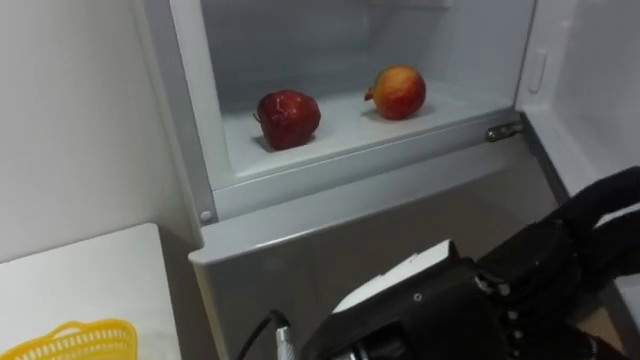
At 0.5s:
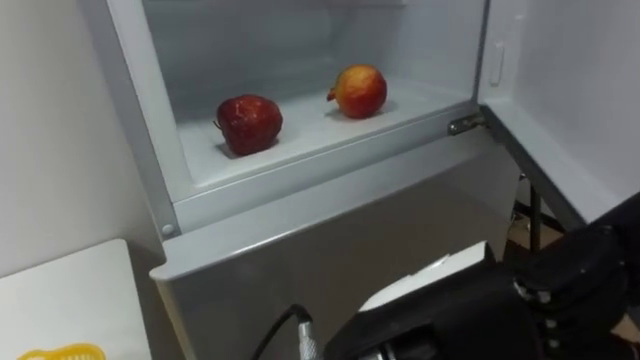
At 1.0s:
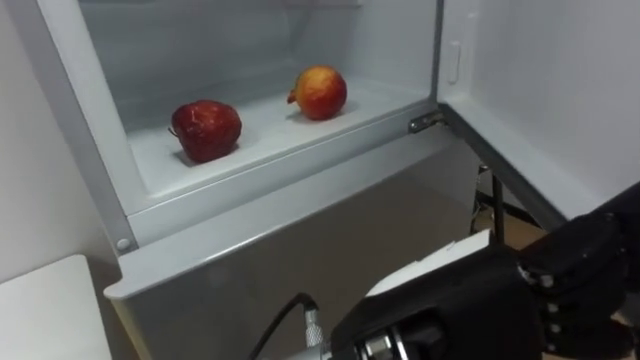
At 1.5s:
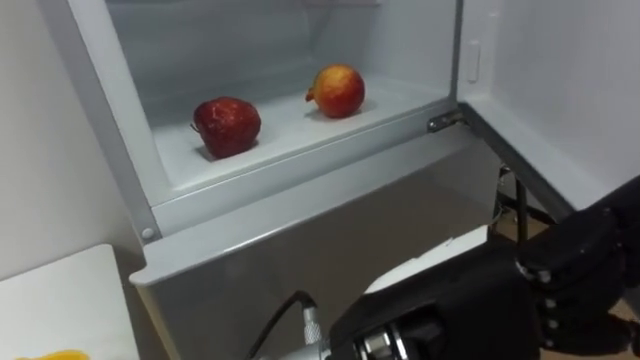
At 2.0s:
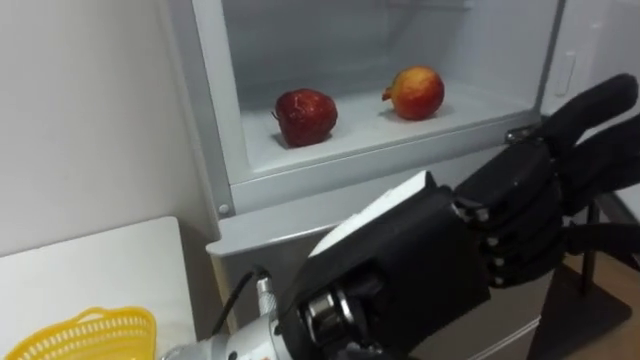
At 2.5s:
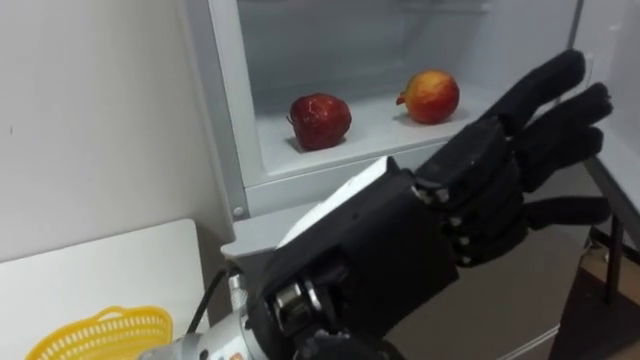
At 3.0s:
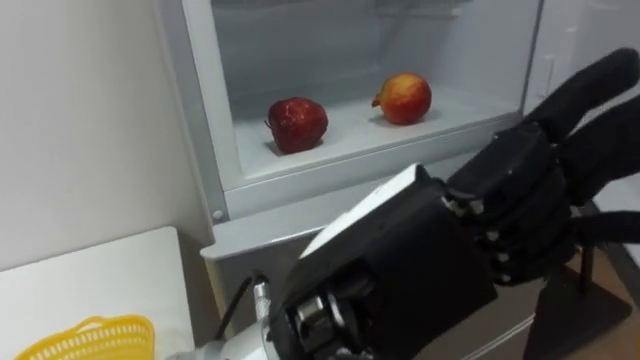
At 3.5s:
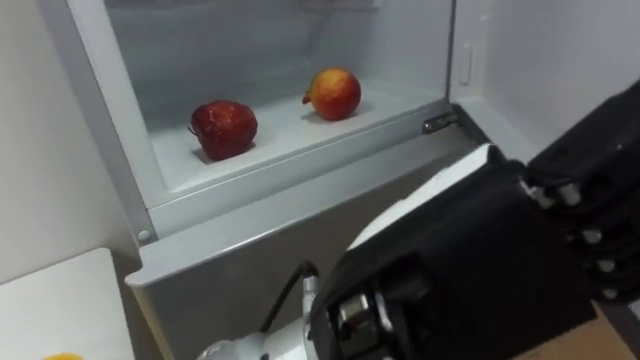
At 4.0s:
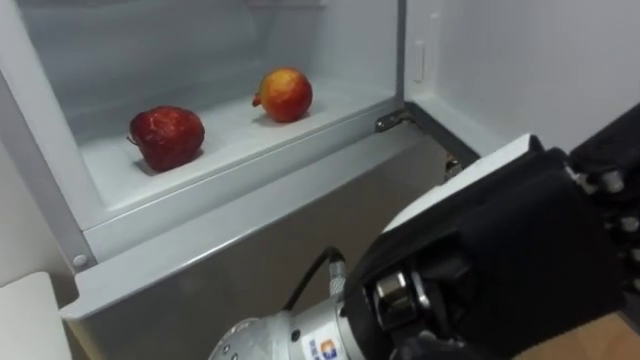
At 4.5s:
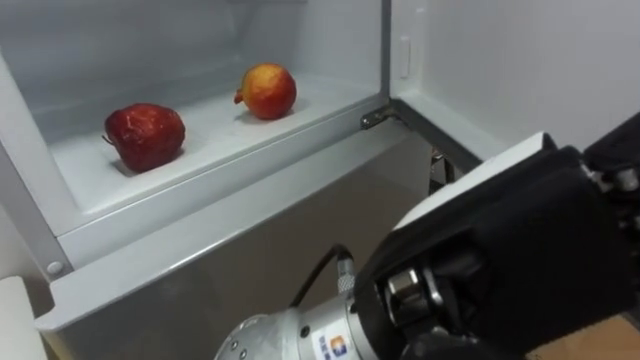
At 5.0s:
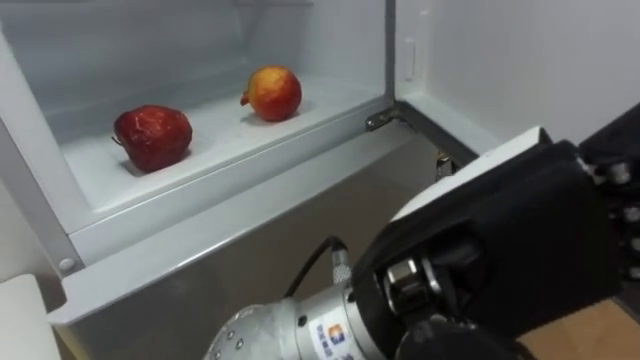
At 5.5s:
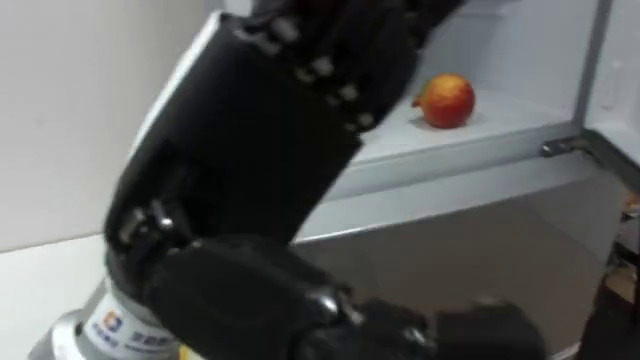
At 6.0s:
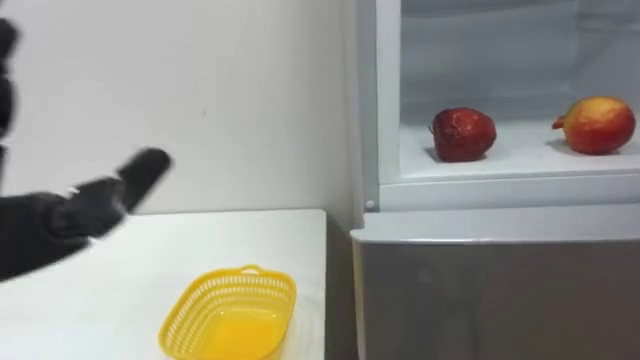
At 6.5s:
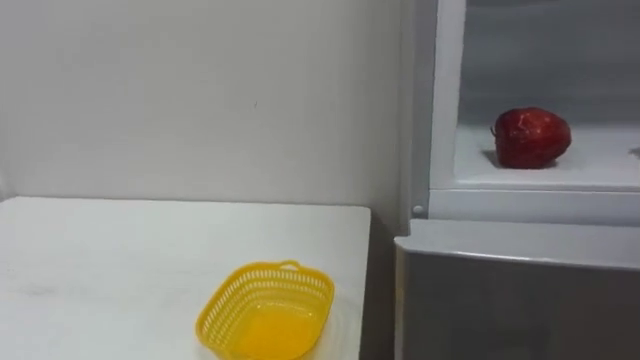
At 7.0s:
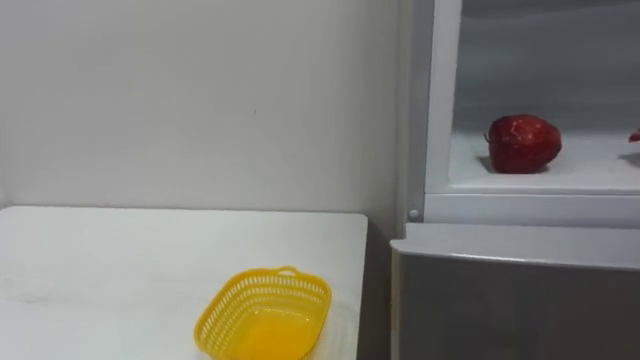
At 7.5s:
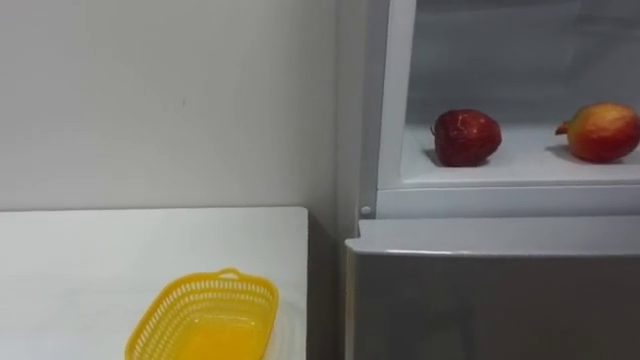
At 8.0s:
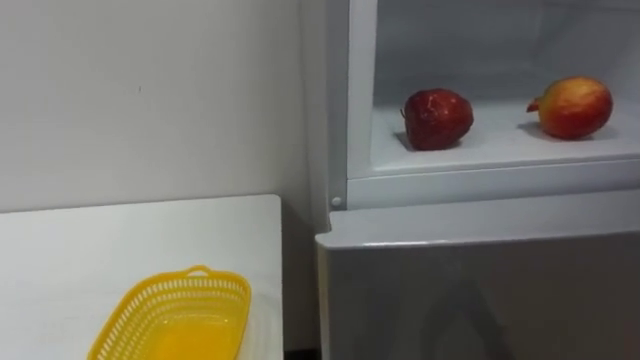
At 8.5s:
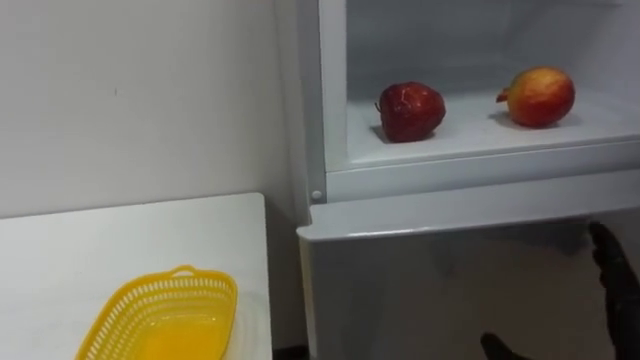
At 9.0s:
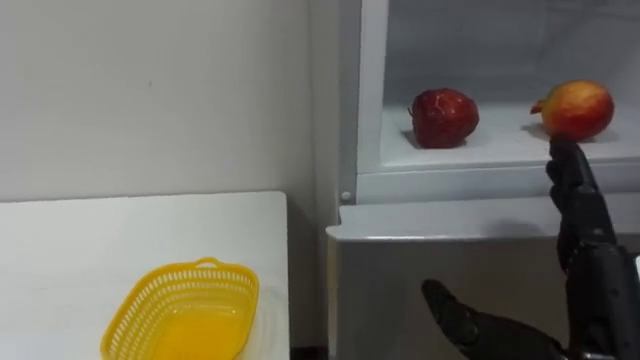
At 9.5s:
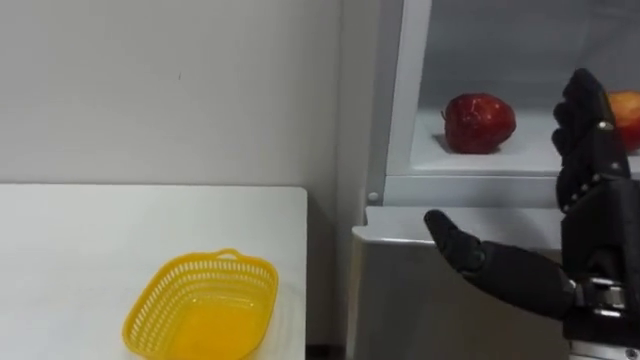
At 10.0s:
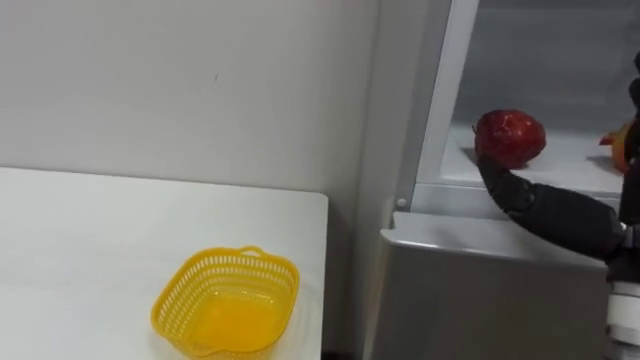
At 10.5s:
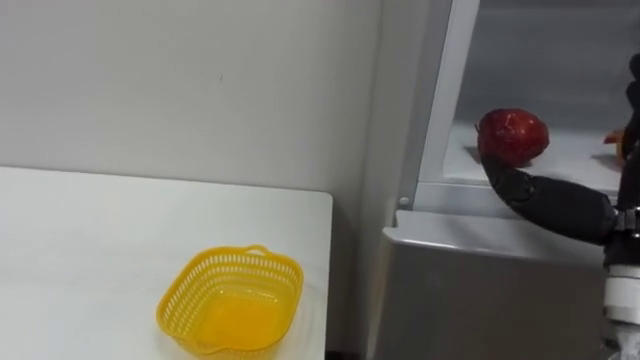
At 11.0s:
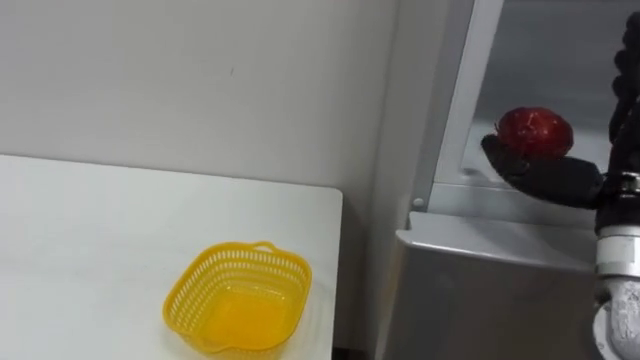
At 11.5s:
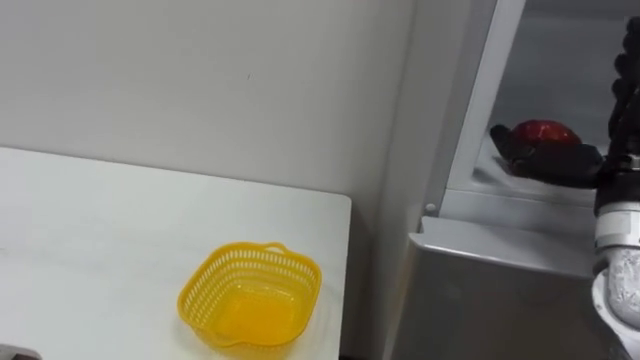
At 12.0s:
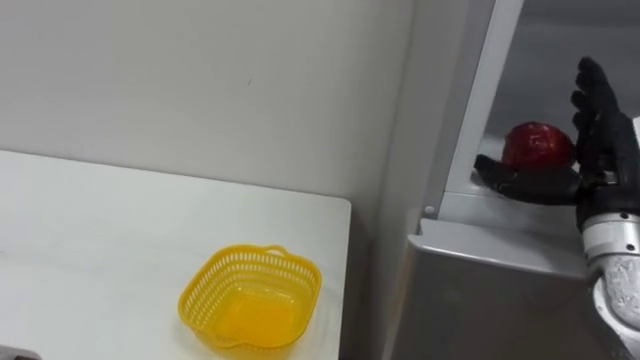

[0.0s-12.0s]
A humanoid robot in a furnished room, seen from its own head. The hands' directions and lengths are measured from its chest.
Task of the whole recording: Open the refrigerator door, take out the apple and the pomegranate, place them in the fruit basket on the left, and close the refrigerator door.
2.0s to 4.0s: The left hand changes place by roughly 5 cm.

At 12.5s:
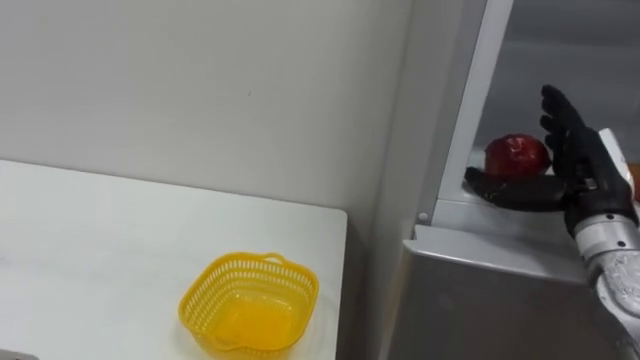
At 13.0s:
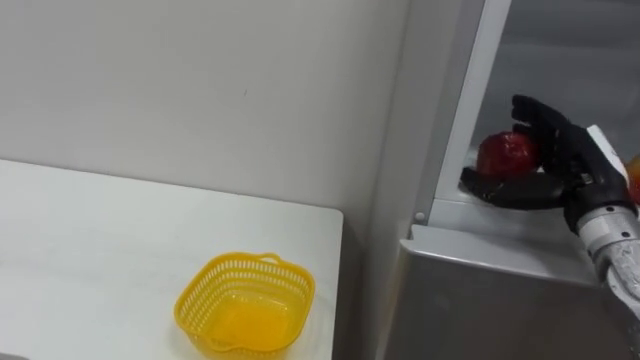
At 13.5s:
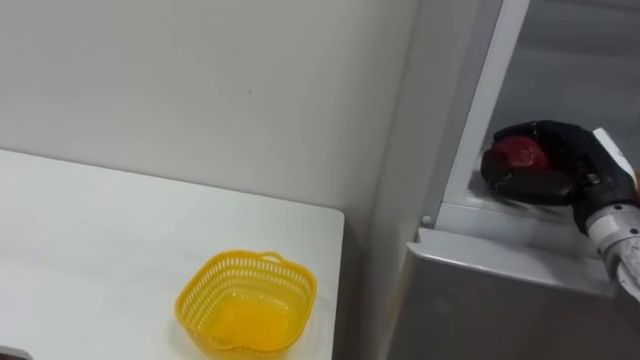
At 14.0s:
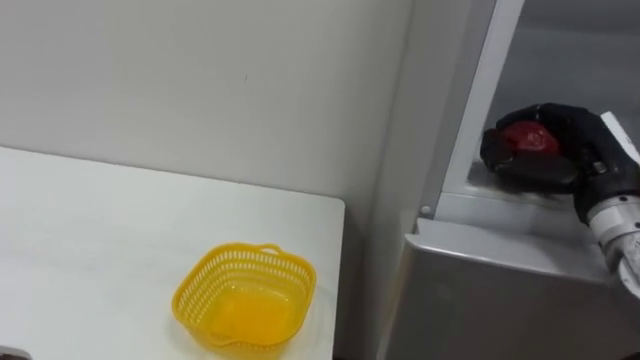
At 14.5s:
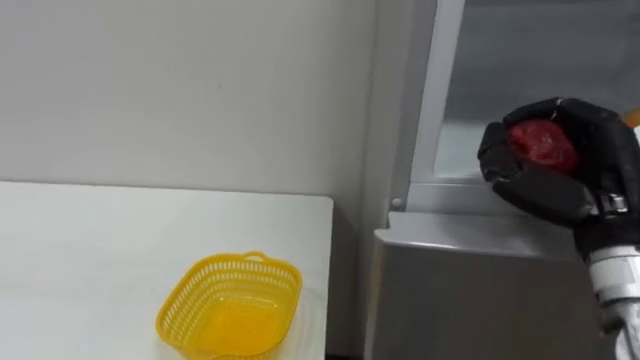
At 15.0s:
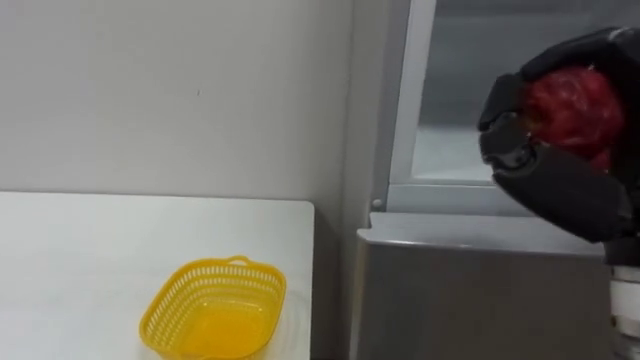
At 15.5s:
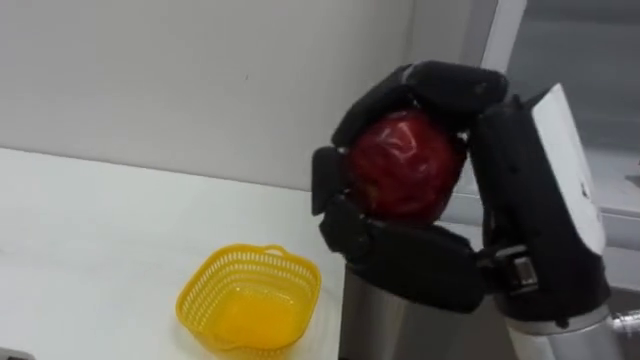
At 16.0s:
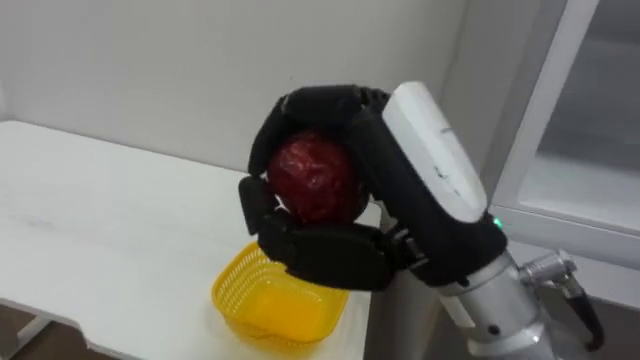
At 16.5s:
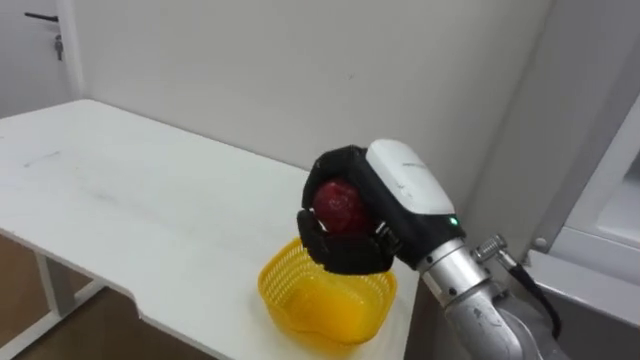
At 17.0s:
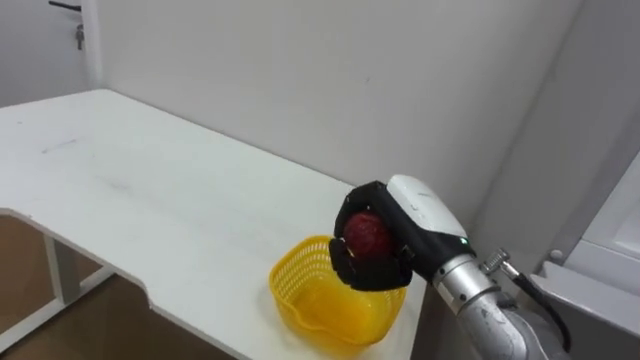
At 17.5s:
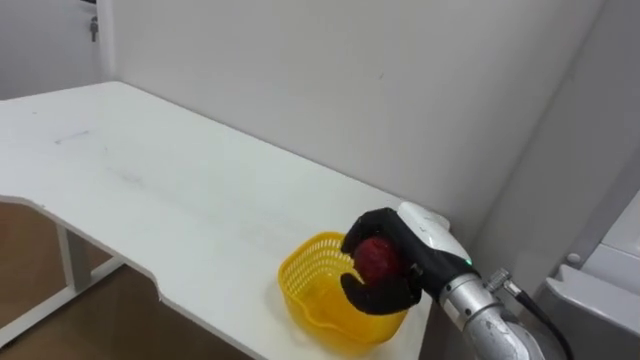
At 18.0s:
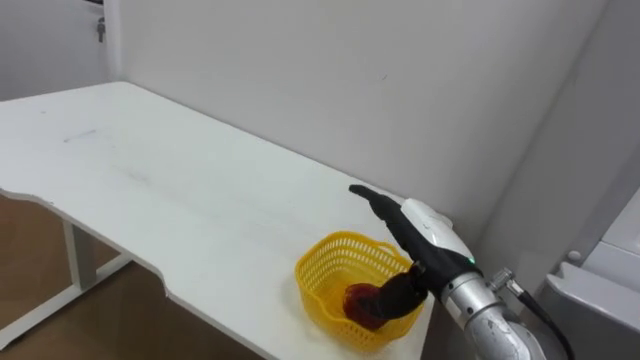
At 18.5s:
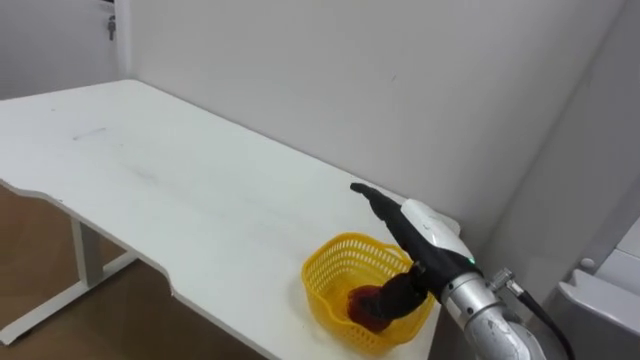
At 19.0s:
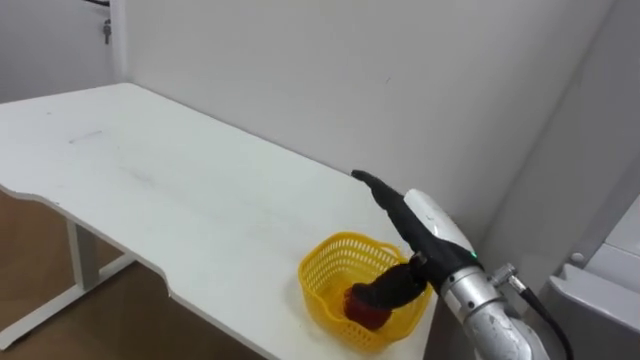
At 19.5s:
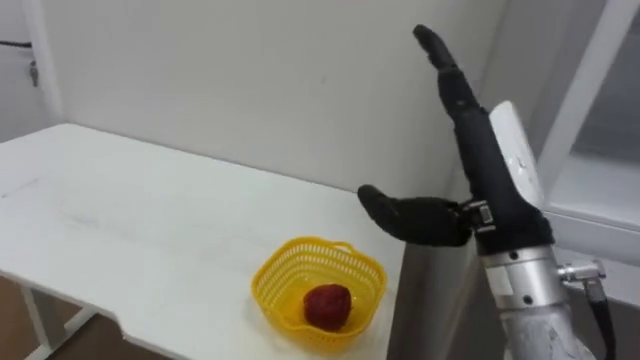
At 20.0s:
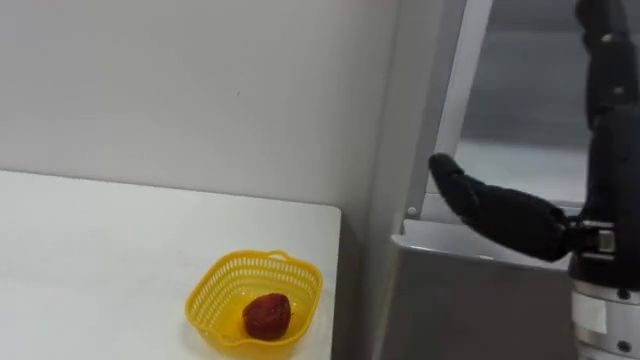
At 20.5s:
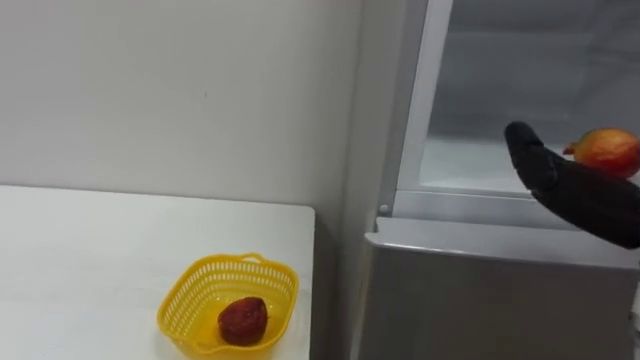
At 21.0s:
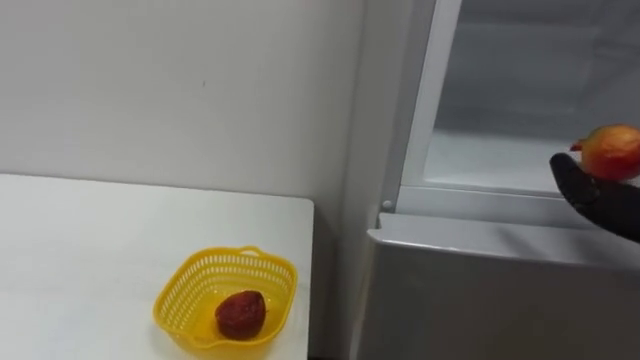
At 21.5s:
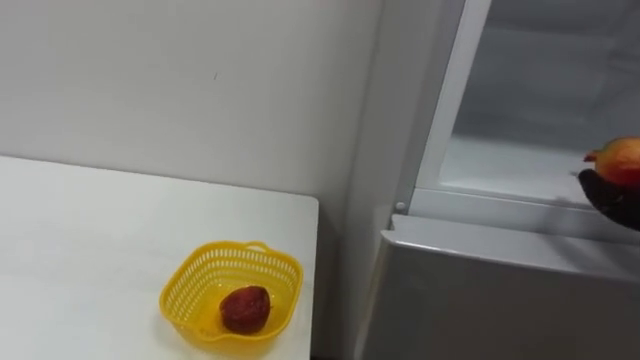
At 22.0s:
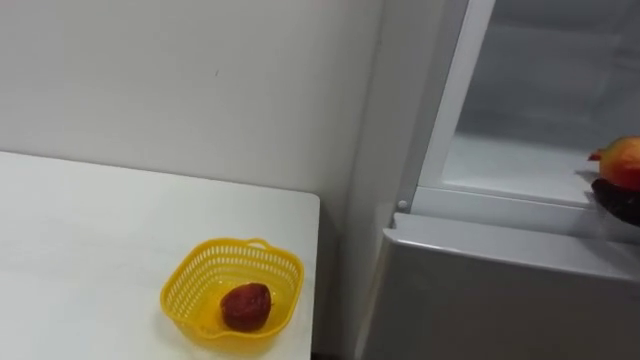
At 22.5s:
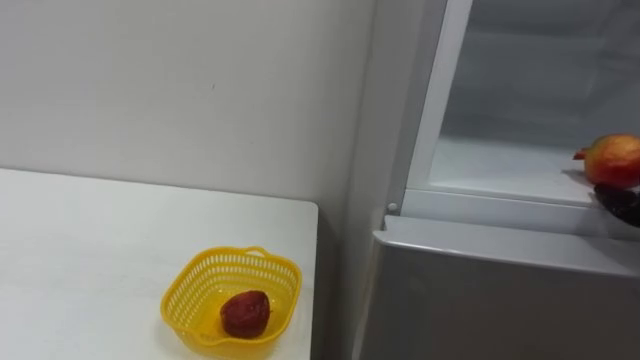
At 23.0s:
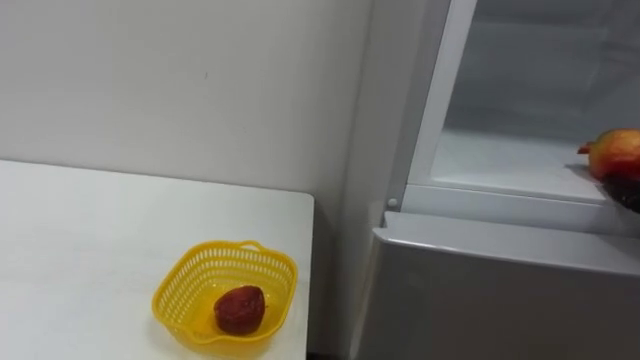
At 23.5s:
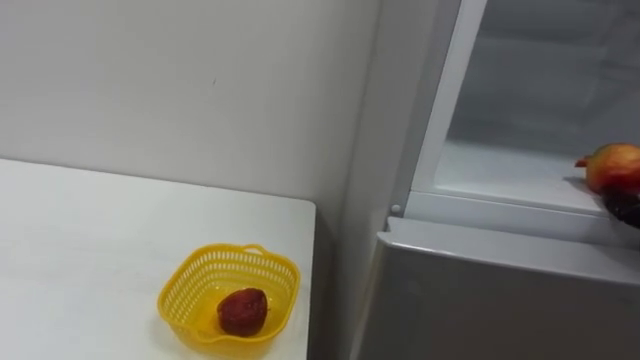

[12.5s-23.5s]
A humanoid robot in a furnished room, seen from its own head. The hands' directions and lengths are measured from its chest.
Task of the whole recording: Open the refrigerator door, take out the apple and the pomegranate, place them in the fruit basket on the left, and close the refrigerator door.
12.5s to 14.5s: The right hand is displaced backward by approximately 5 cm, and closes.
14.5s to 16.0s: The right hand heads to the left, backward and upward, covering some 20 cm.
16.0s to 18.0s: The right hand shifts some 25 cm downward and forward, and opens.
18.0s to 20.0s: The right hand goes approximately 20 cm upward, backward and to the right.
